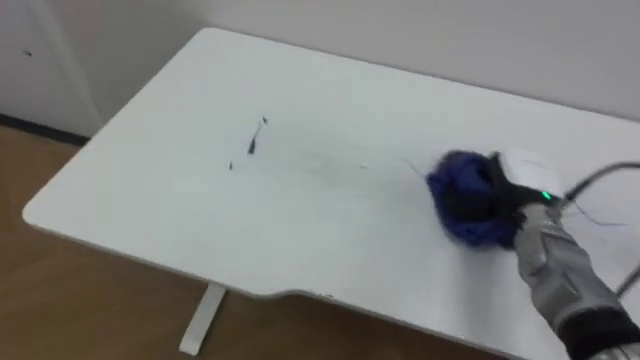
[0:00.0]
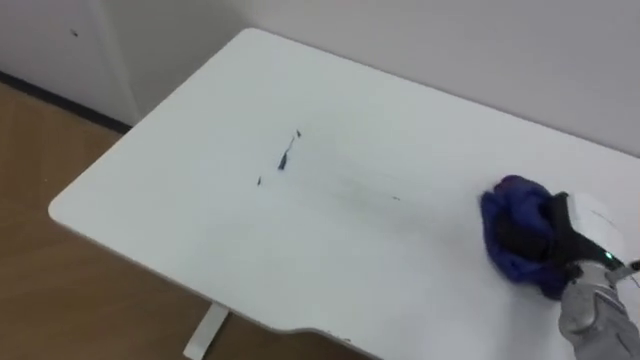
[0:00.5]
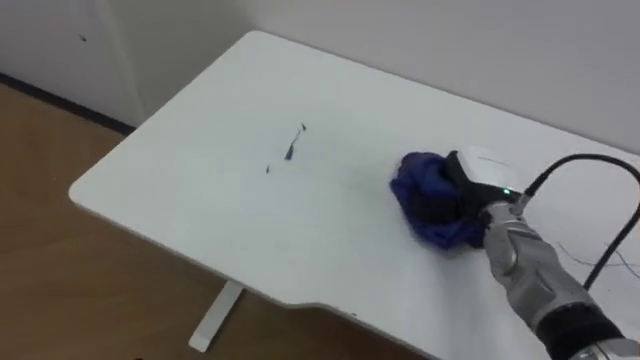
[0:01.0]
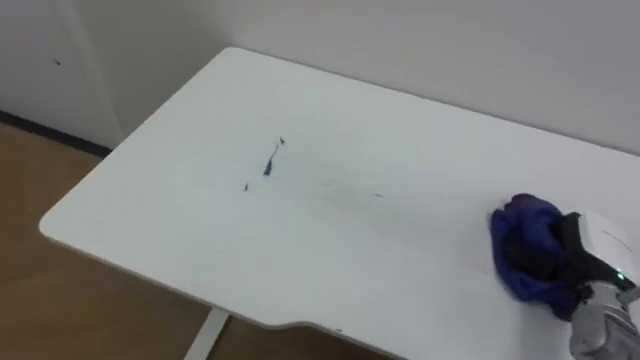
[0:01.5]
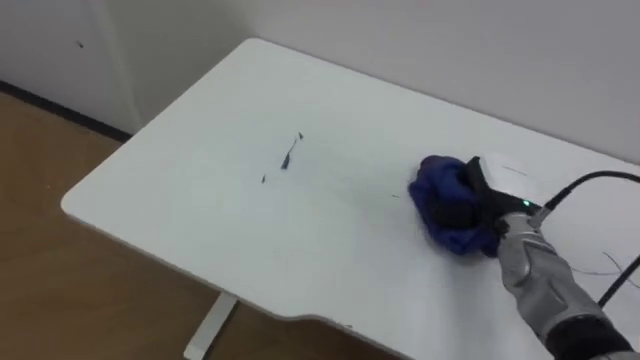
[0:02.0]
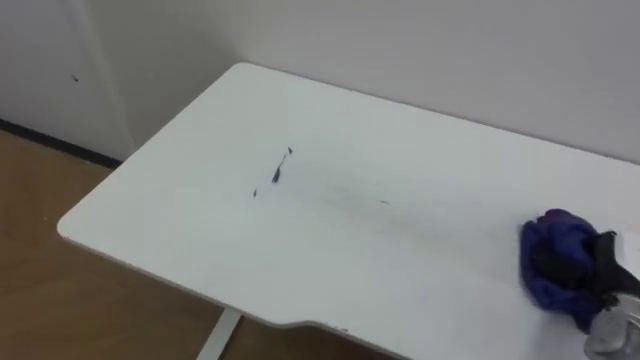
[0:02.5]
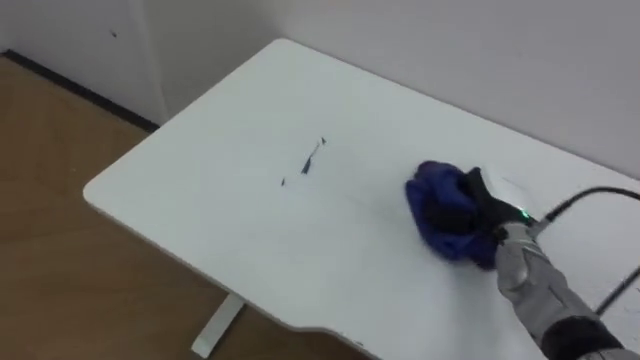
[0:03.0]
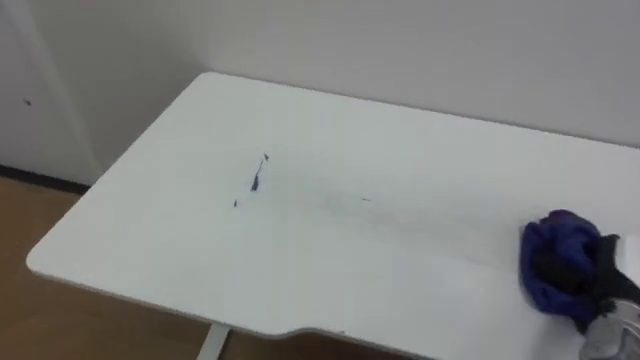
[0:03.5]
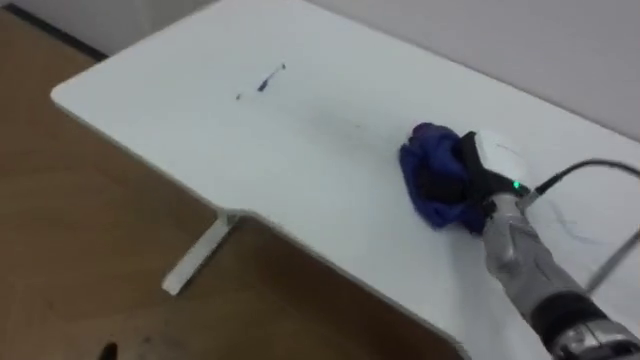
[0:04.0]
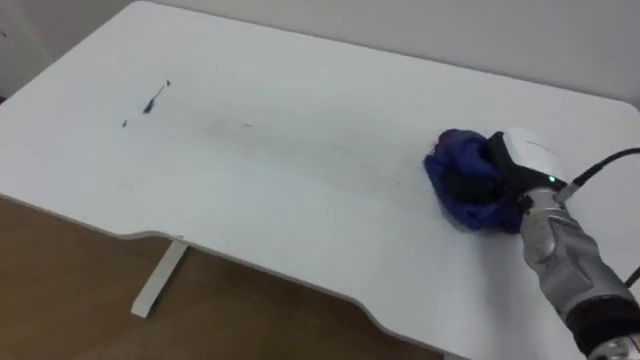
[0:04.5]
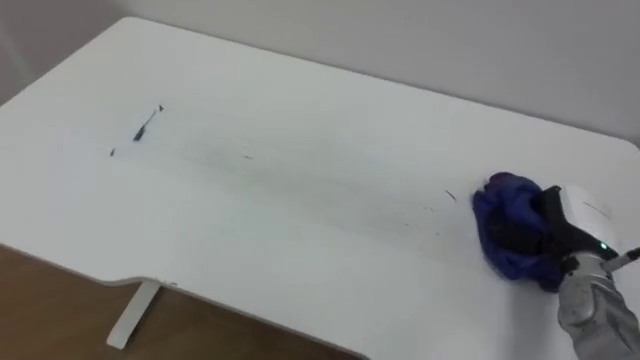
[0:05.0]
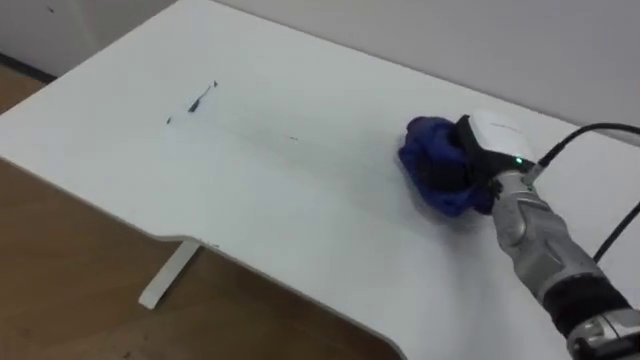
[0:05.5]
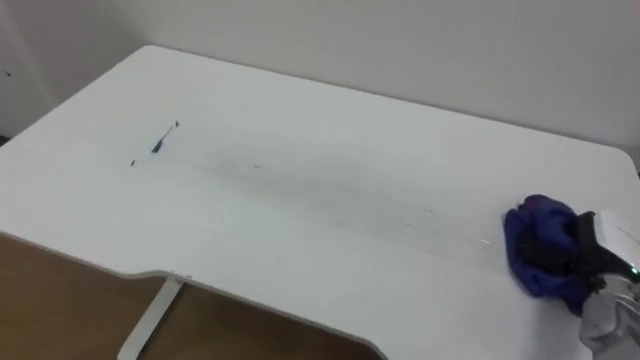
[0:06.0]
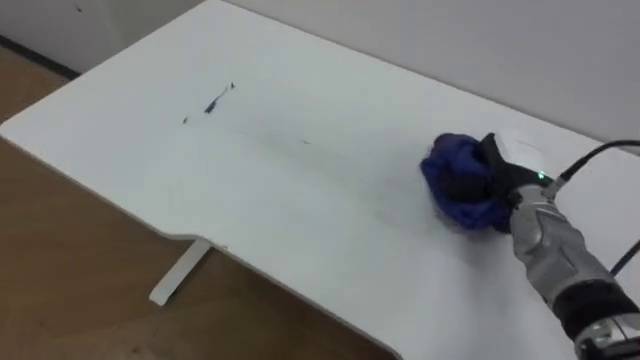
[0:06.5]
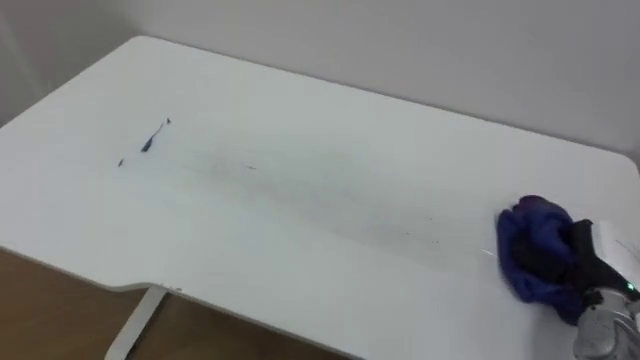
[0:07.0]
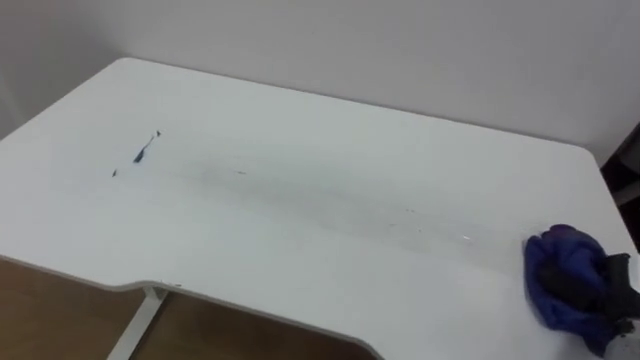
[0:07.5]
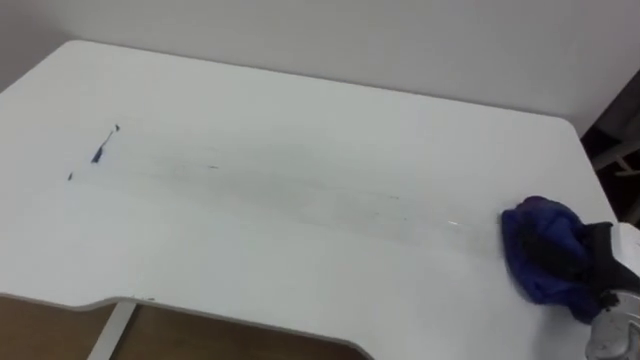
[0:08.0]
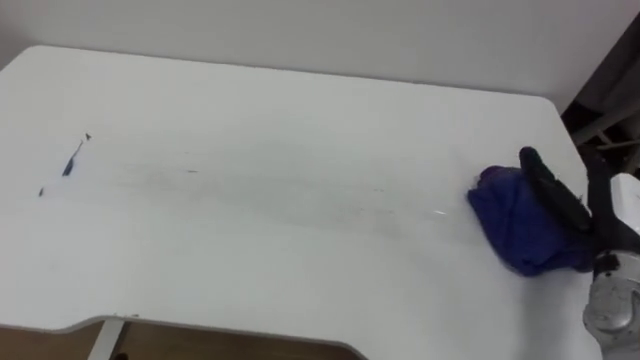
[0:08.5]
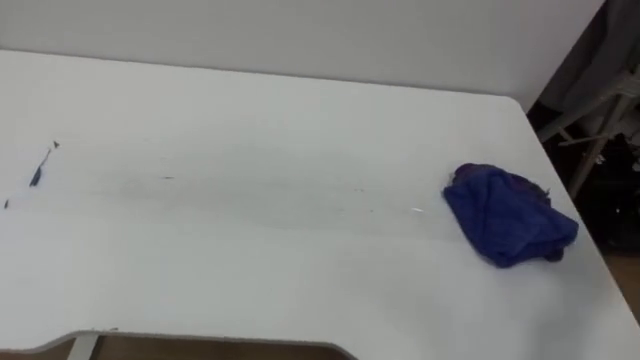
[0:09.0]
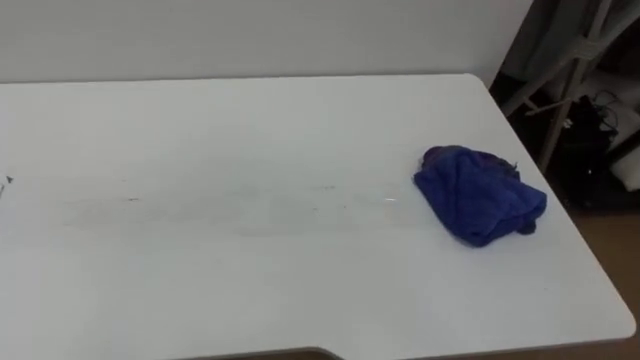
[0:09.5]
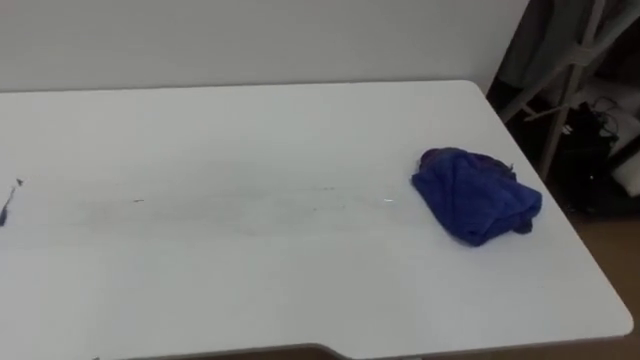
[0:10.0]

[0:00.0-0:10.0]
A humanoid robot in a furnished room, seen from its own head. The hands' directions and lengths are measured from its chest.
Task of the whole recording: Wipe the blue pen marks off the table with the rag.
0:00.0 to 0:02.0: The right hand moves left and right over some 15 cm, changing direction 3 times.
0:02.0 to 0:04.0: The right hand swings left and right, some 15 cm each way, with 3 reversals.
0:04.0 to 0:06.0: The right hand swings left and right, about 15 cm each way, with 2 reversals.
0:06.0 to 0:08.0: The right hand goes forward and returns, some 10 cm each way, and opens up.

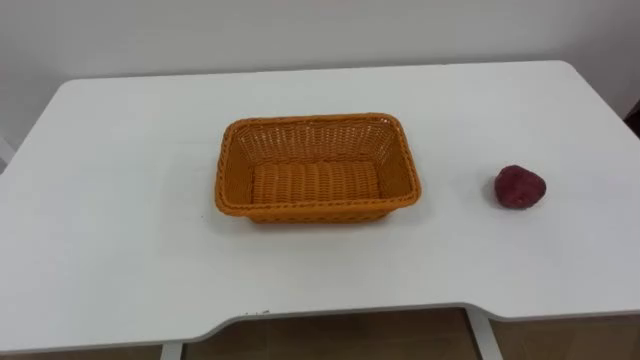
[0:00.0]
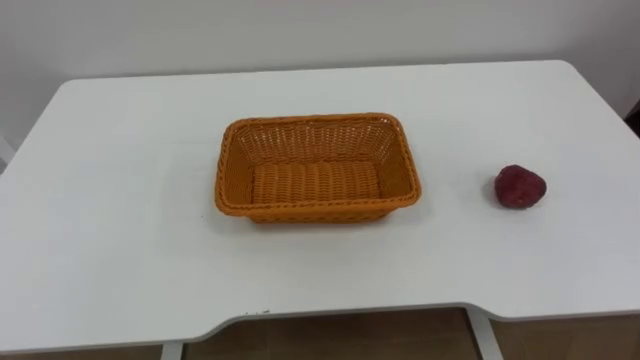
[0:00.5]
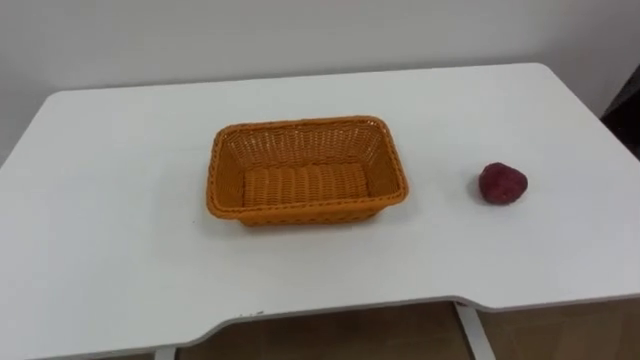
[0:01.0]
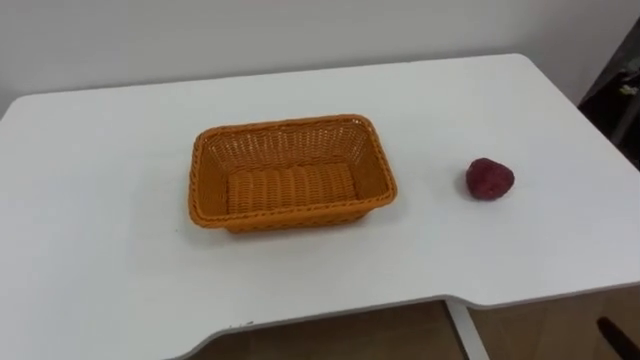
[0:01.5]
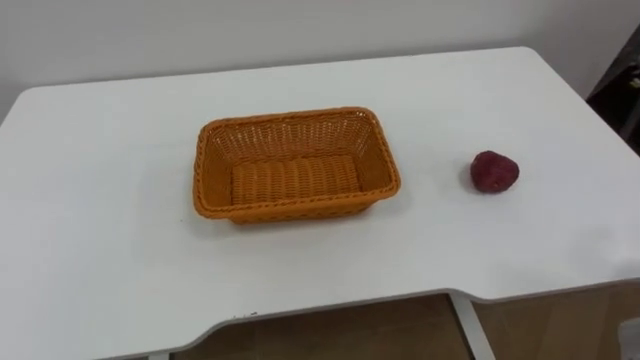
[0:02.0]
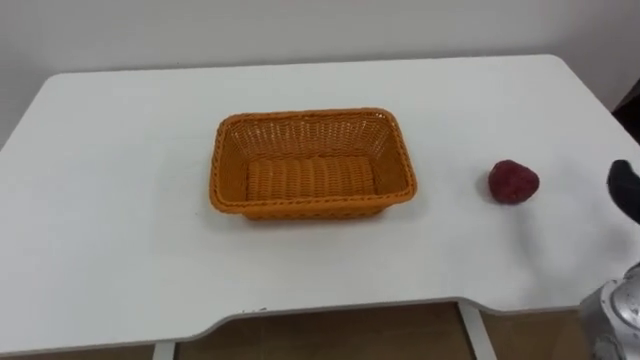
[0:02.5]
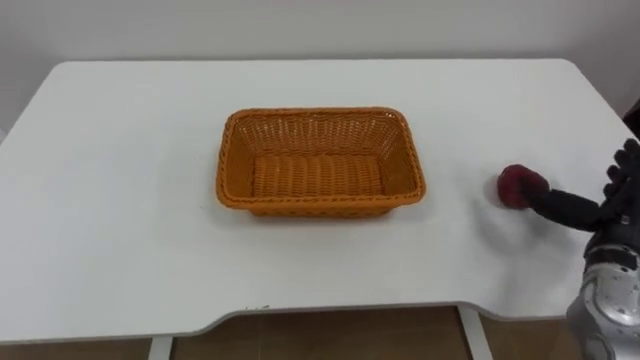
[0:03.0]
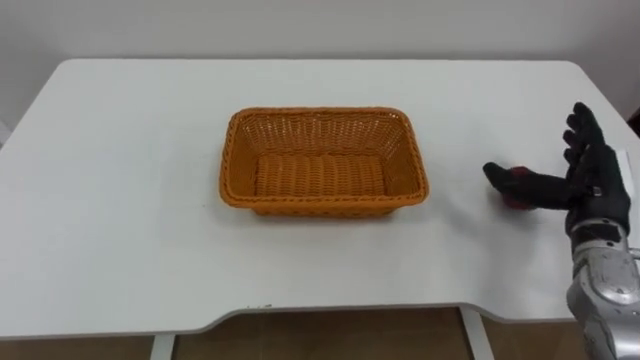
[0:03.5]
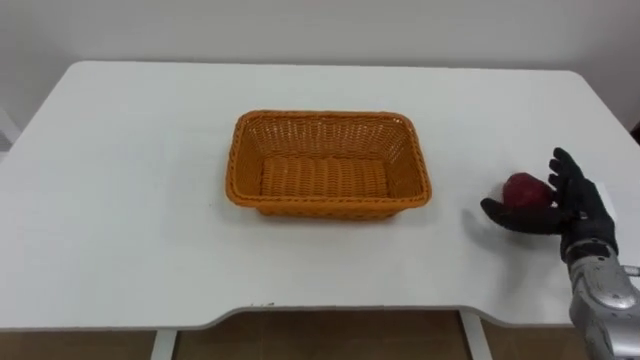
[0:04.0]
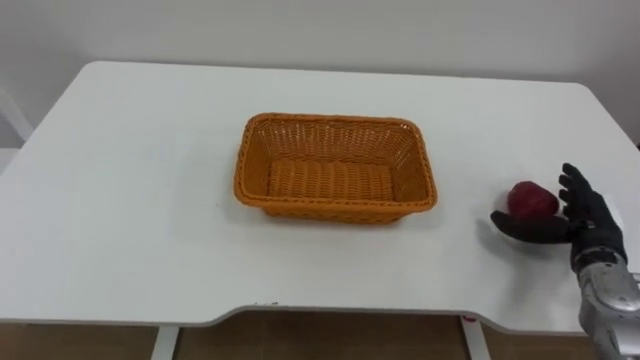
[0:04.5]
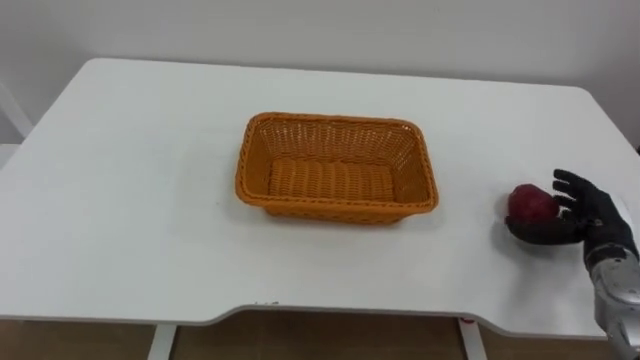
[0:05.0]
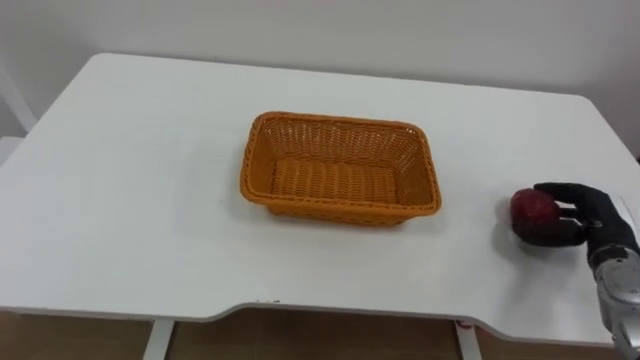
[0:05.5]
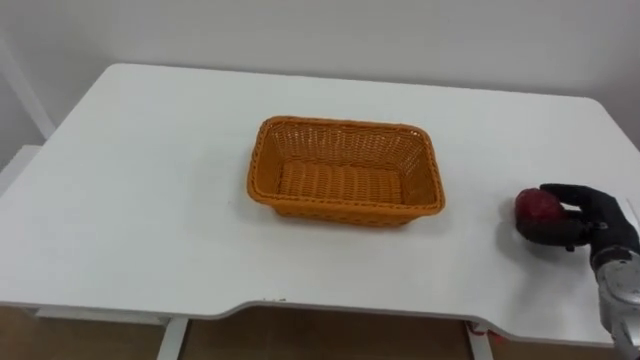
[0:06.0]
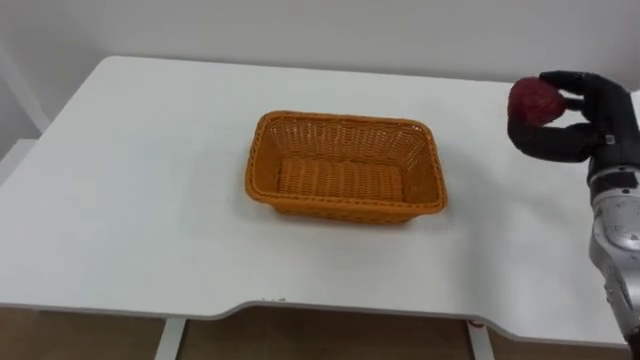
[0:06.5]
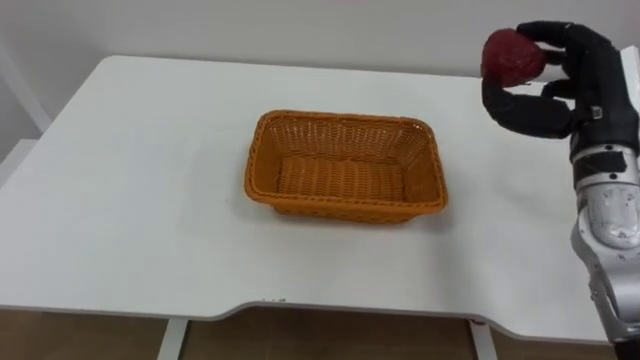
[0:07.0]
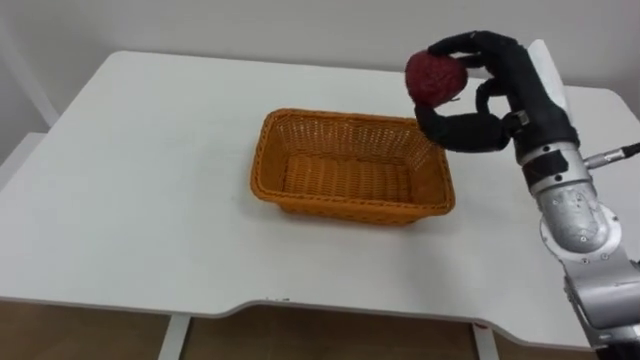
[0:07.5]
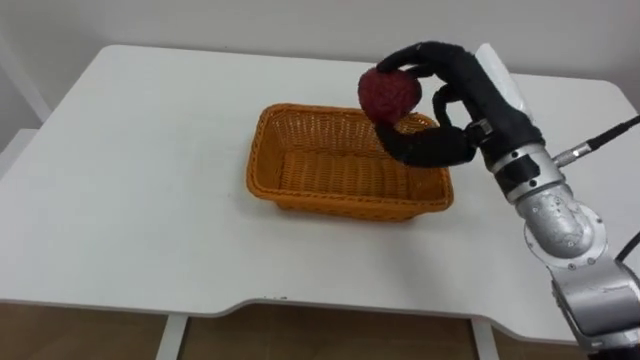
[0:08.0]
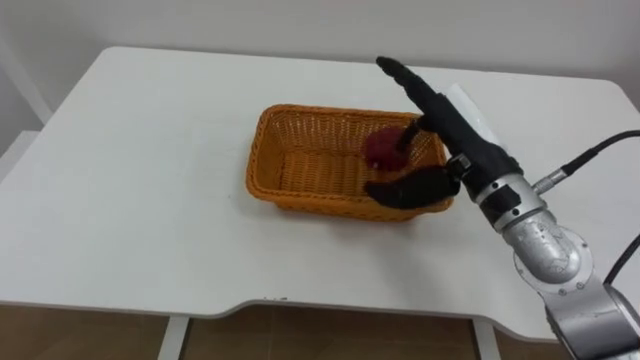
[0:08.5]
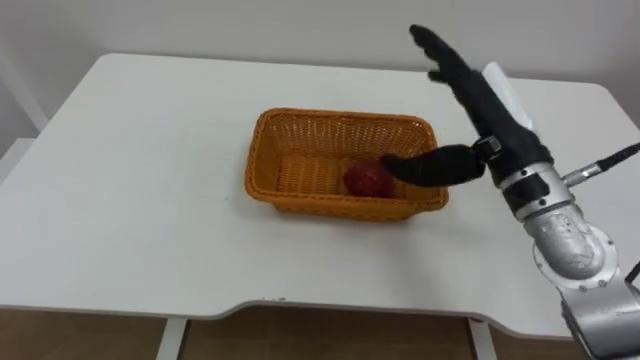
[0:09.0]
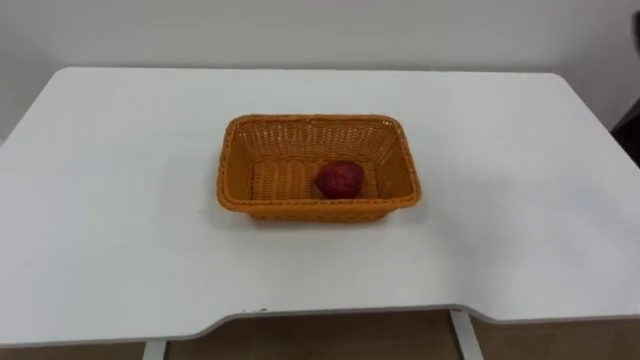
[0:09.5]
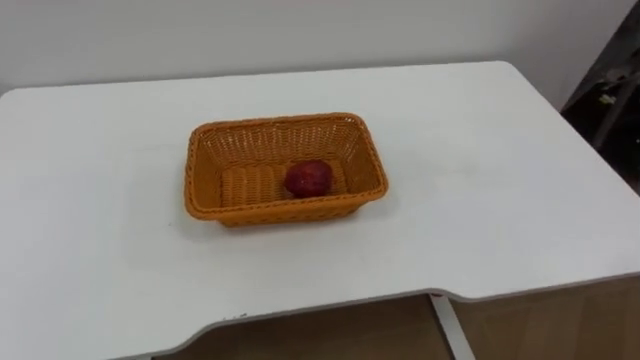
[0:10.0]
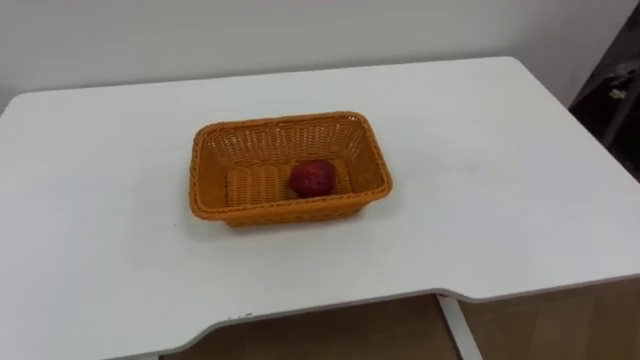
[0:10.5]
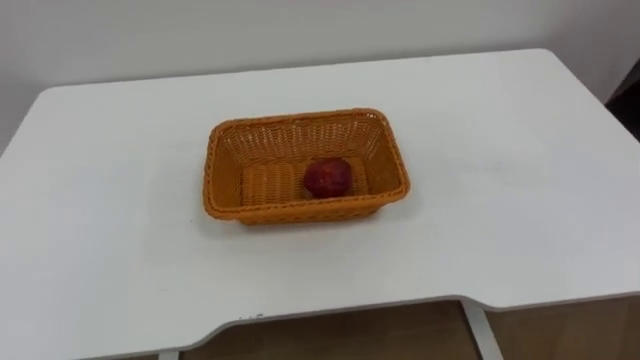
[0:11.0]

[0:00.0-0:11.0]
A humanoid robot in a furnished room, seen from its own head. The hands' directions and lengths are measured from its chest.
Task of the whole recording: Pick the apple and place it in the box.
0:03.5 to 0:05.5: The right hand heads downward, covering some 10 cm, and closes its fingers.
0:05.5 to 0:07.5: The right hand moves upward and to the left, some 25 cm.
0:07.5 to 0:09.0: The right hand opens its fingers.
